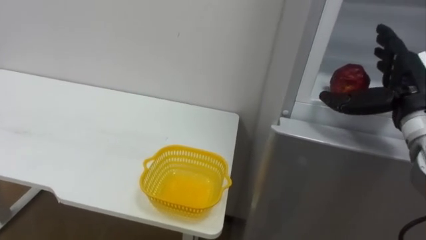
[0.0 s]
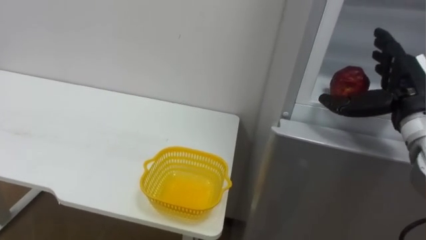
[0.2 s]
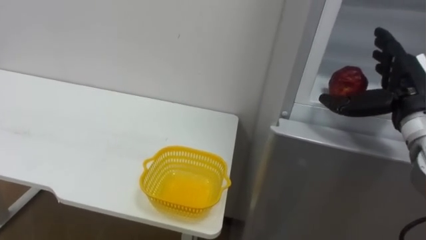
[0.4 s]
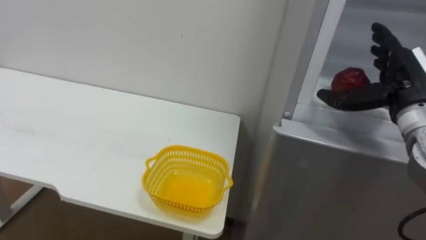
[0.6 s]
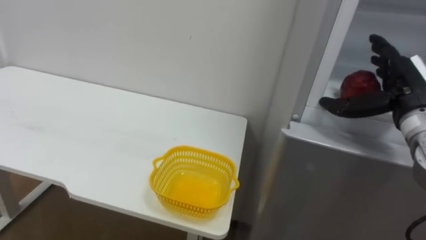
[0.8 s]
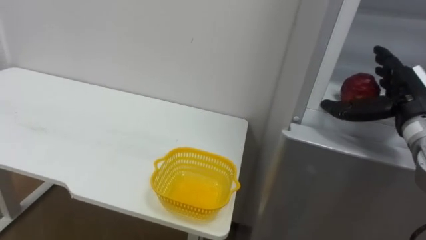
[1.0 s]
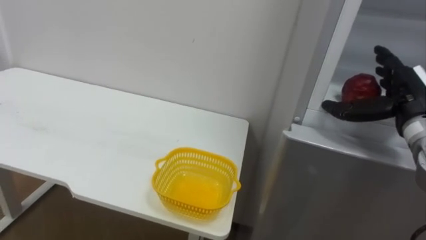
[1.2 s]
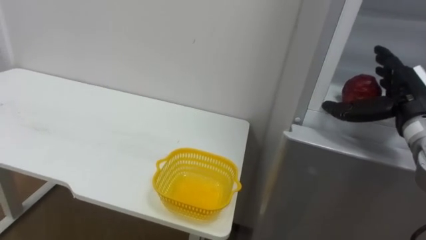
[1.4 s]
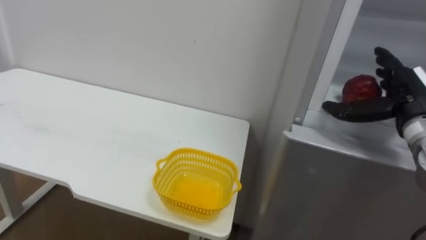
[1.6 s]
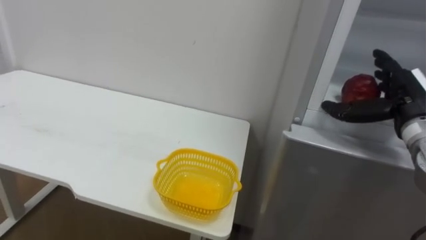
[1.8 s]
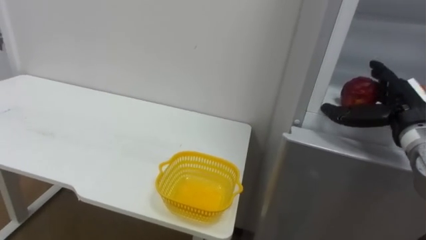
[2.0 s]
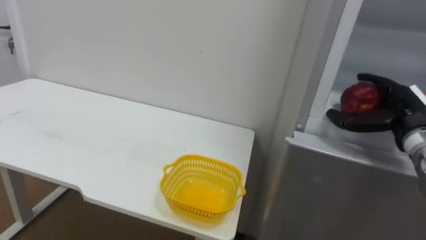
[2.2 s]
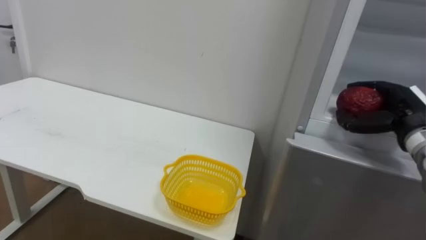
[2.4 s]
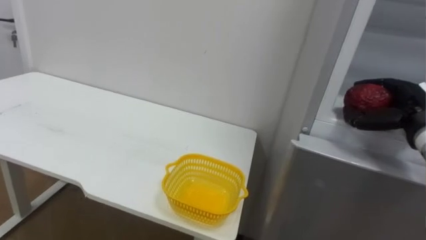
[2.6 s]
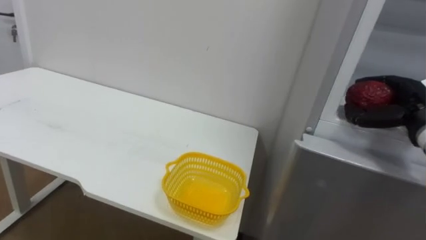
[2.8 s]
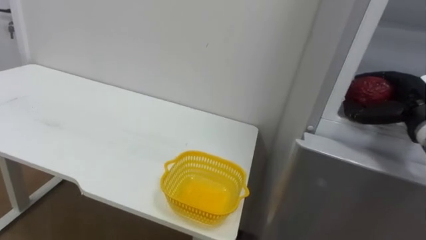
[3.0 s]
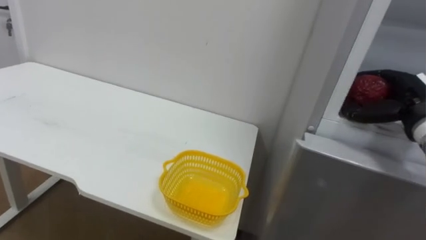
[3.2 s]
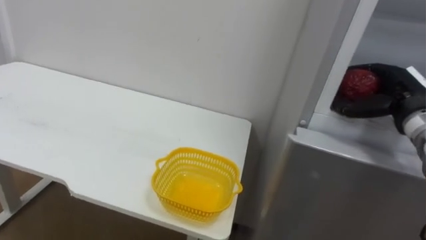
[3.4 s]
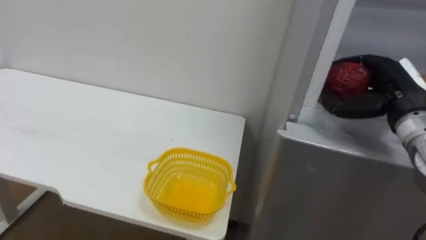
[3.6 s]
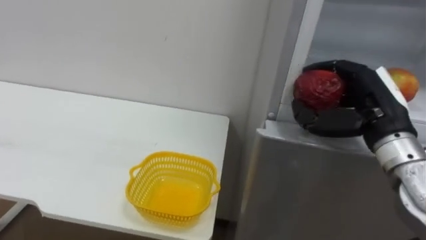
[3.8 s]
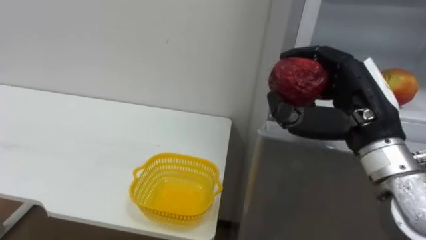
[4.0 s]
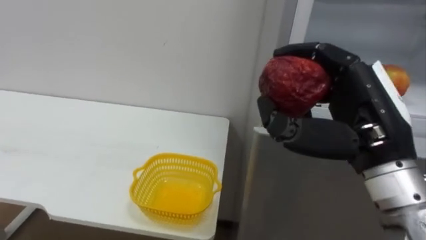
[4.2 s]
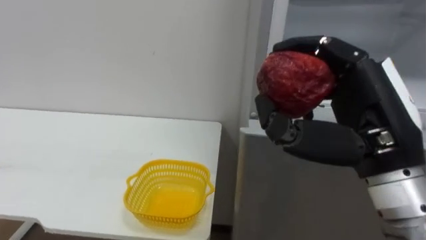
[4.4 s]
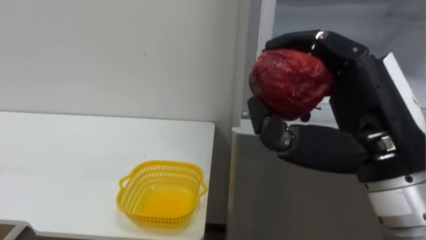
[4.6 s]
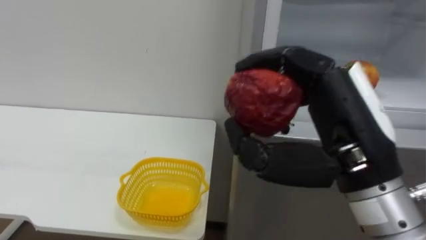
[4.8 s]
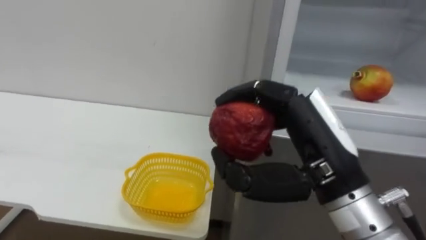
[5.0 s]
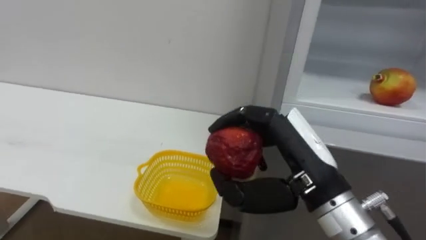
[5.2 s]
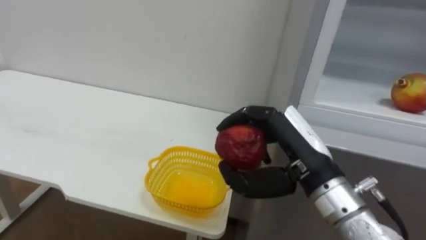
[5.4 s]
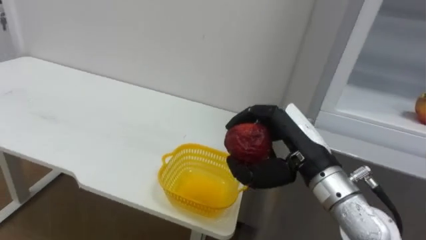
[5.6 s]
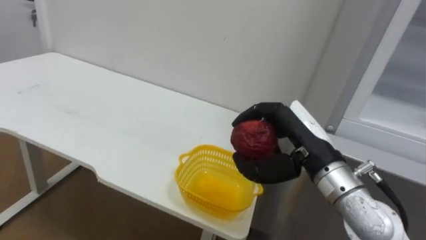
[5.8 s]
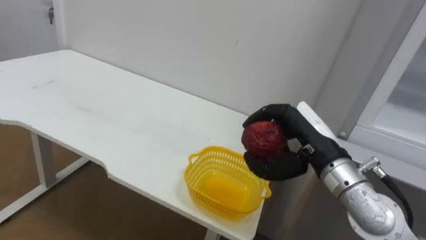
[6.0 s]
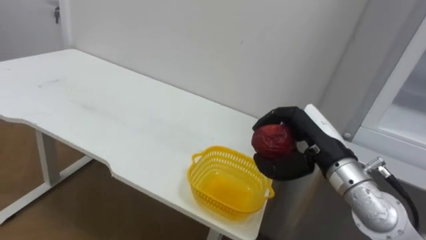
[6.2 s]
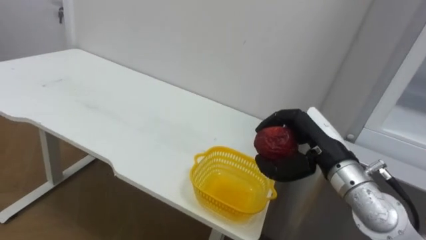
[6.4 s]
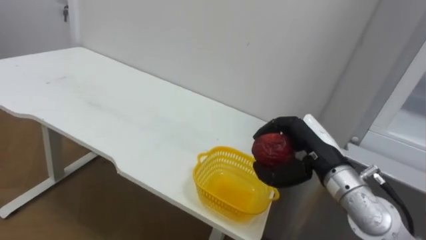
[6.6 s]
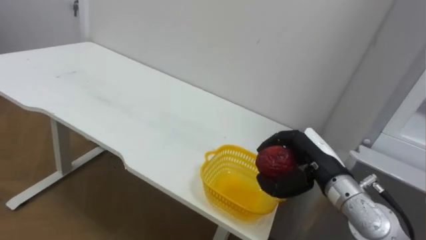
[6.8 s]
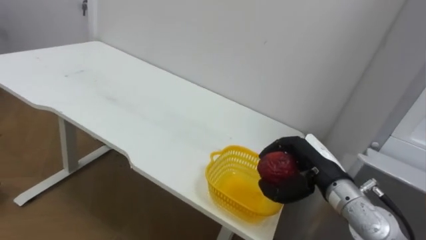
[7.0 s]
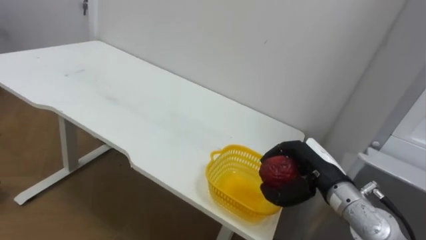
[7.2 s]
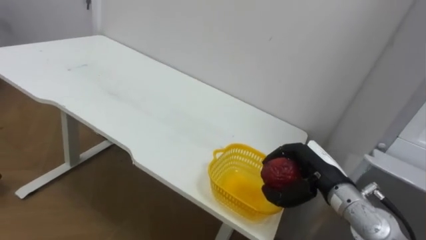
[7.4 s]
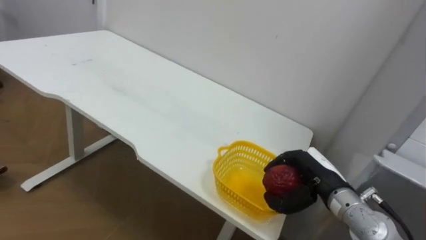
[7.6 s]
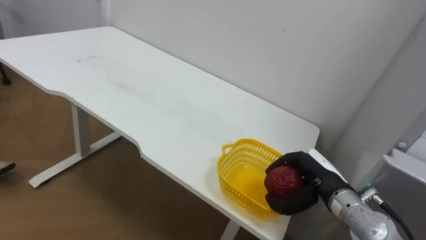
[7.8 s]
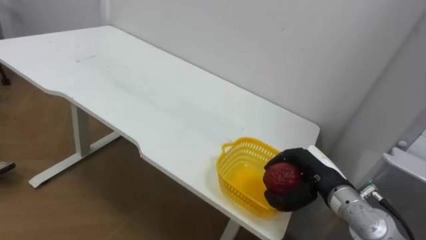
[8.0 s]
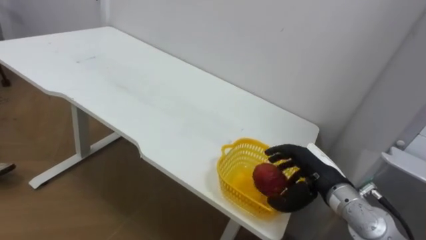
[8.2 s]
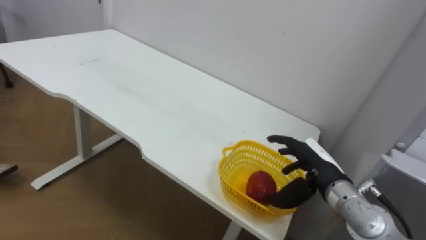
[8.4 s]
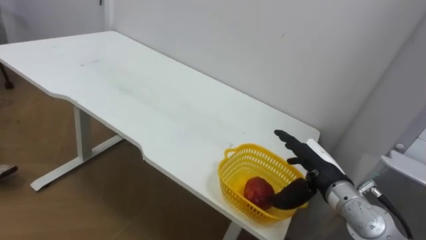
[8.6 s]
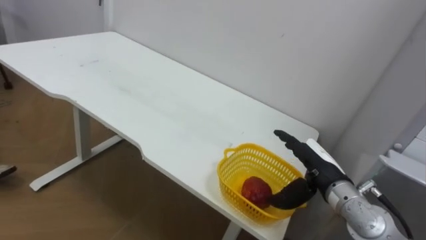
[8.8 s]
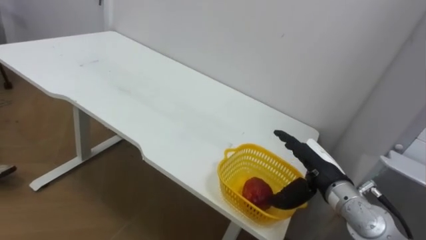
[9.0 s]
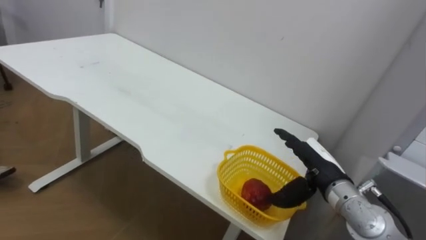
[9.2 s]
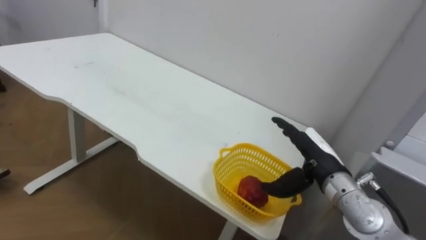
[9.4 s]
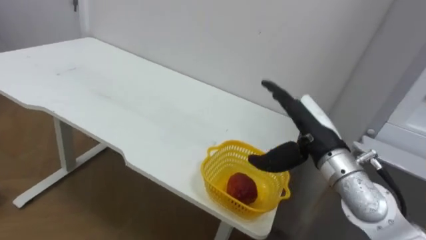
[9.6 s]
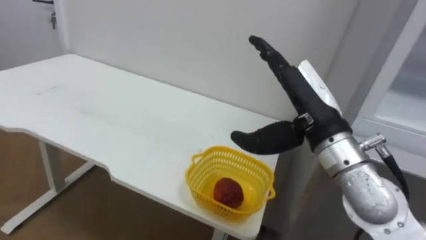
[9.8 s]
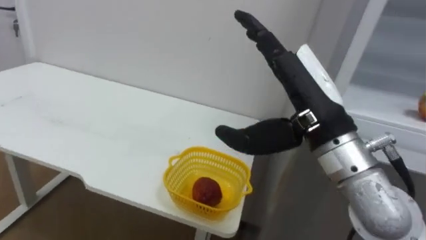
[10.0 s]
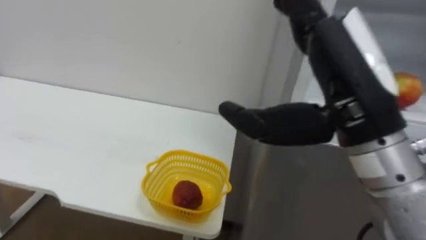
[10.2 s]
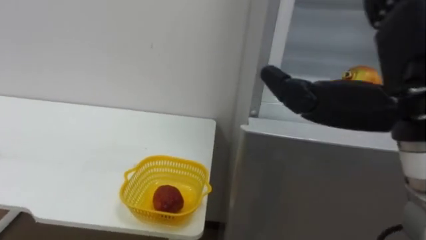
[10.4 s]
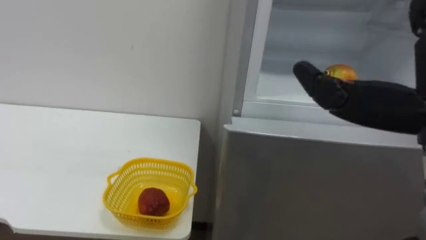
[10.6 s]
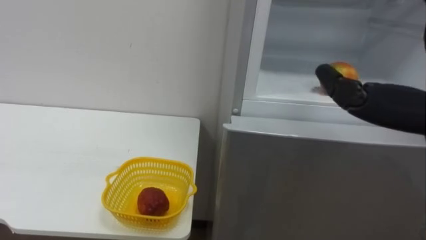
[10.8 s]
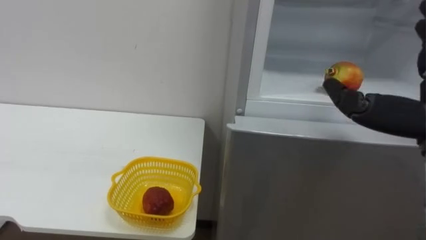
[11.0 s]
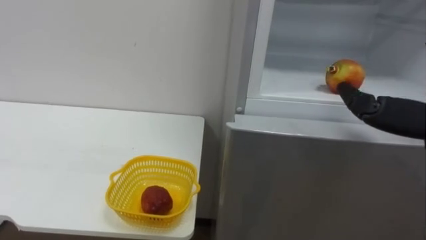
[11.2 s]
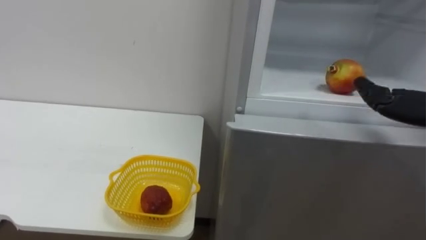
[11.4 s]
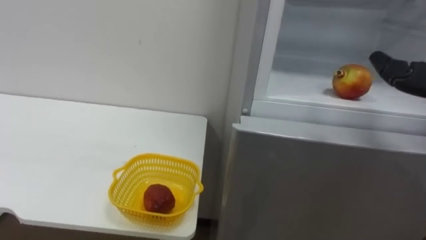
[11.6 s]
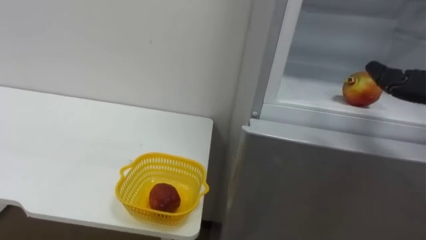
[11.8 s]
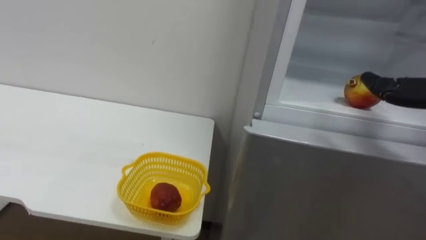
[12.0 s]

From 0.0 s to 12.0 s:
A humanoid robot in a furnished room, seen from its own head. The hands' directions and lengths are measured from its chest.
Task of the whole recording: Open the refrigerator door, take out the apple and the pomegranate, place them in the fruit basket on the left, and close the refrigerator door.
From 1.6 s to 3.0 s: The right hand closes.
From 3.0 s to 4.4 s: The right hand goes about 25 cm to the left, backward and upward.
From 4.4 s to 6.0 s: The right hand heads forward and downward, covering approximately 15 cm.
From 6.0 s to 7.6 s: The right hand goes roughly 10 cm downward.
From 7.6 s to 9.0 s: The right hand opens its fingers.
From 9.0 s to 10.4 s: The right hand shifts some 30 cm upward and backward.

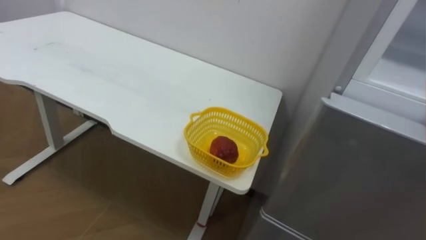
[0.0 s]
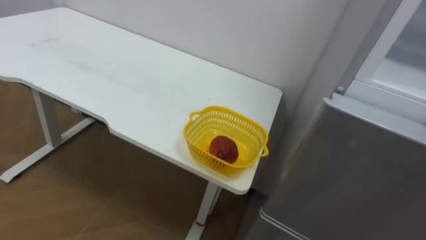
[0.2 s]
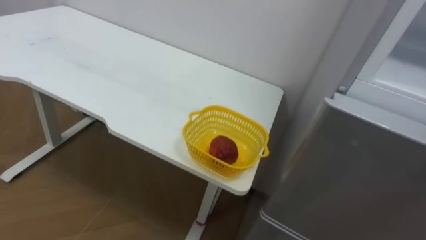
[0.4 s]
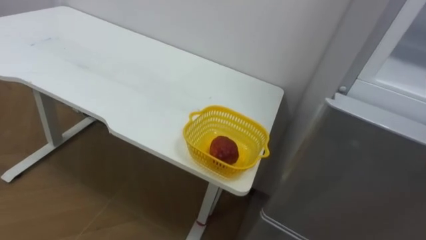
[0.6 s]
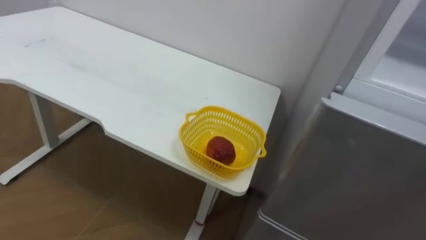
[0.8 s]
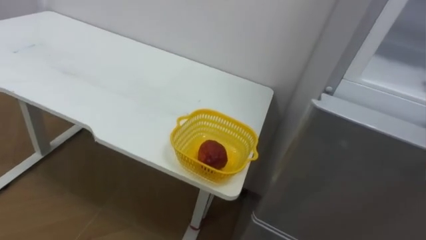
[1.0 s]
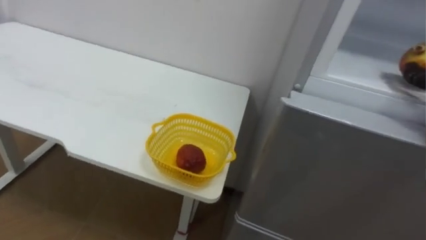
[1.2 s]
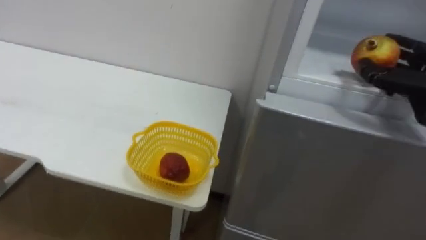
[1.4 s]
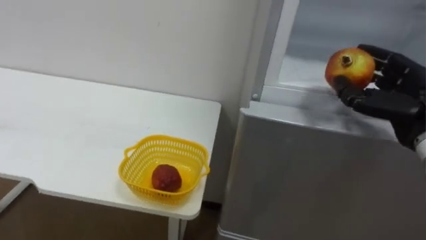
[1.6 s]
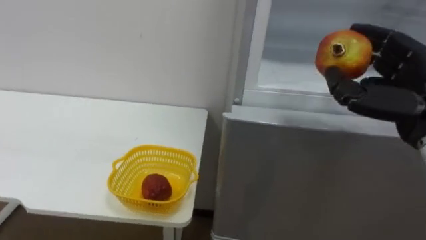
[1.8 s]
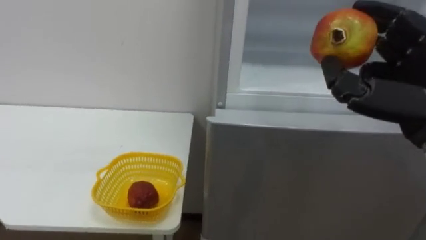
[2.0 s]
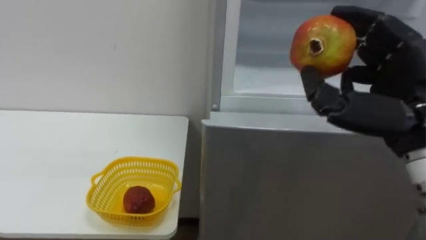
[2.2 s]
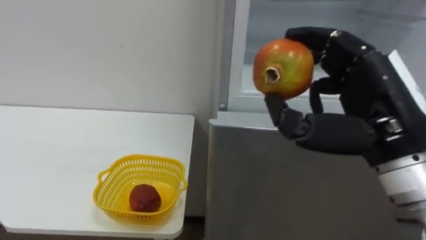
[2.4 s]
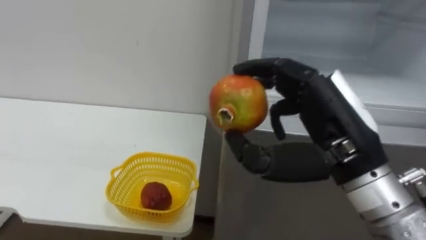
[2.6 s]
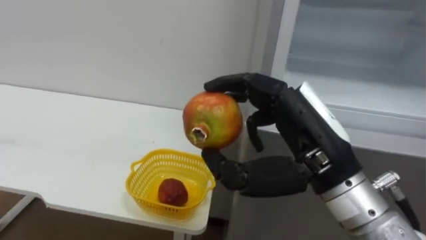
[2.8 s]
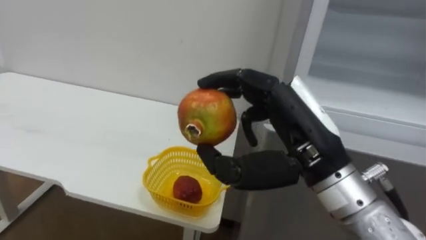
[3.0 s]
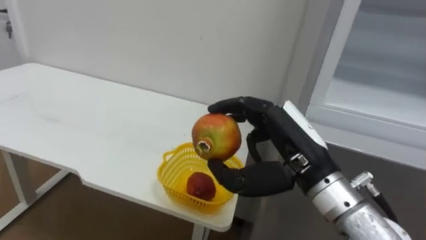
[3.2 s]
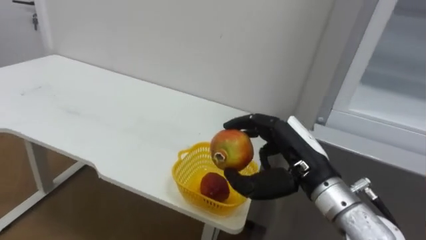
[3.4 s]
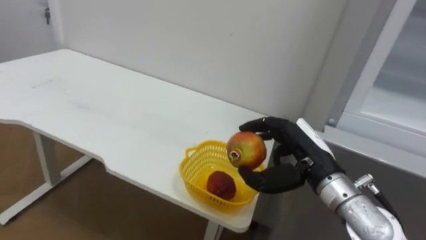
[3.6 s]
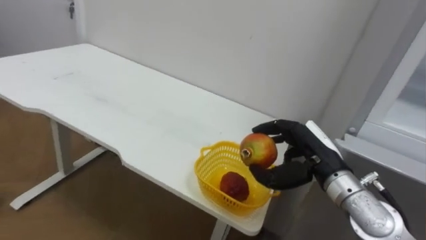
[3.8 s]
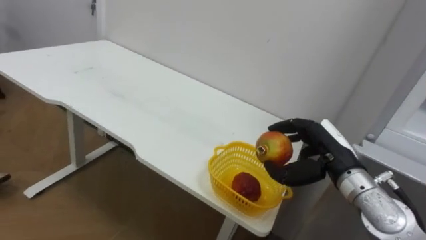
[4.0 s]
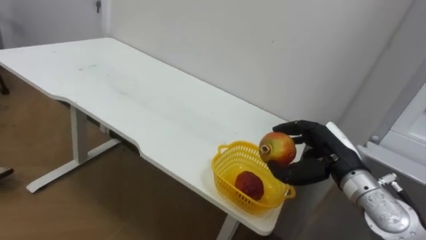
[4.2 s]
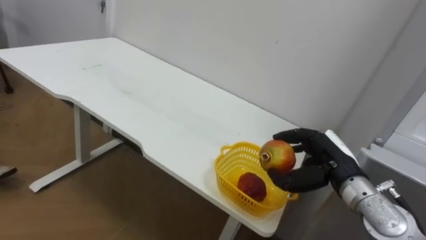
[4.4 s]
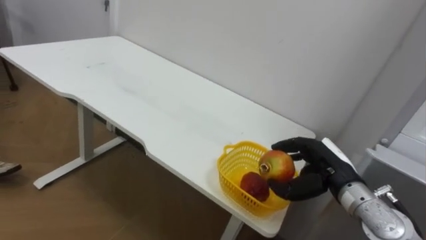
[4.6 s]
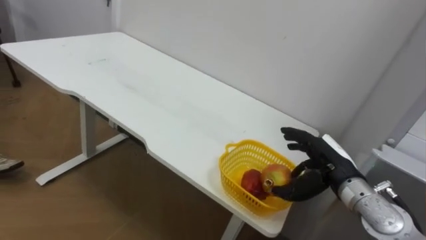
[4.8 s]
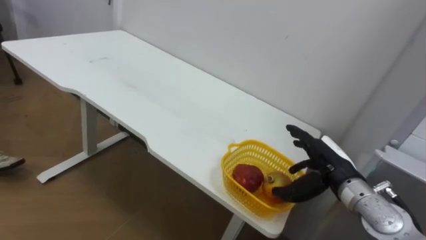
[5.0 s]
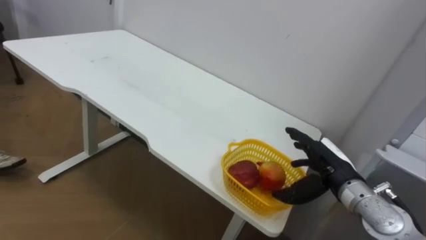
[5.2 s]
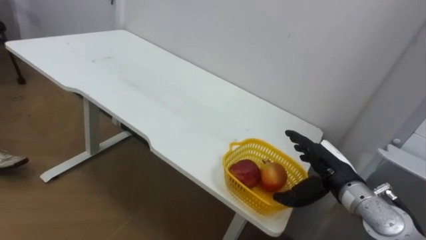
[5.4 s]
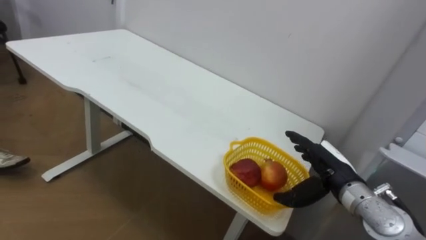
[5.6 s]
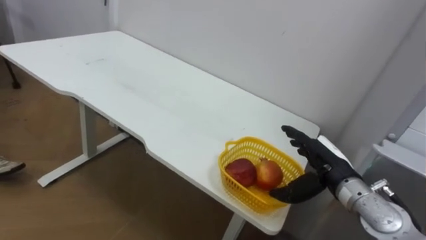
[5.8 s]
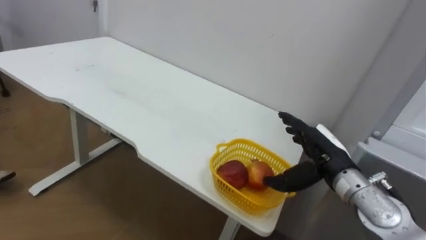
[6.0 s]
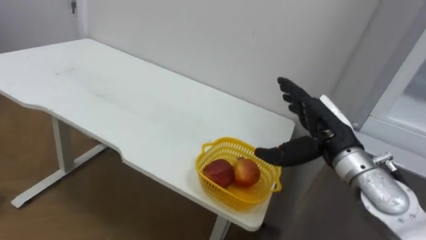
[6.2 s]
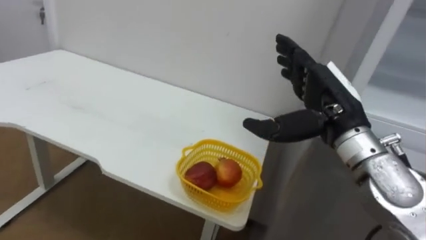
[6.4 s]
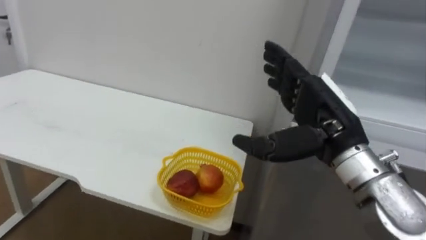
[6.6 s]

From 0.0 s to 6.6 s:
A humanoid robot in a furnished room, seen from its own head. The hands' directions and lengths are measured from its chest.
Task of the whole recording: Open the refrigerator door, take out the apple and the pomegranate, place them in the fruit basket on the left, and close the refrigerator door.
From 1.6 s to 3.2 s: The right hand moves to the left, some 20 cm.
From 3.2 s to 5.0 s: The right hand shifts roughly 20 cm downward, to the right and forward, and opens.
From 5.0 s to 6.6 s: The right hand heads upward, covering roughly 15 cm.
